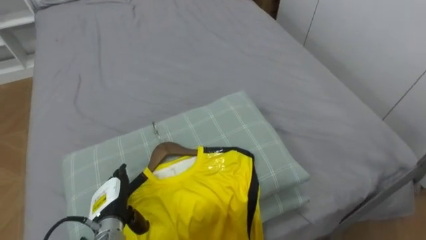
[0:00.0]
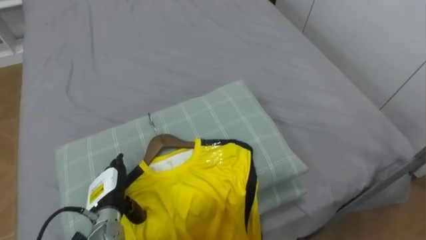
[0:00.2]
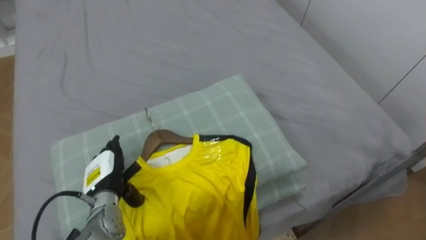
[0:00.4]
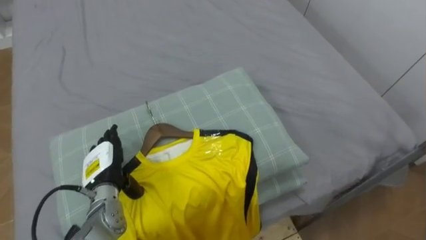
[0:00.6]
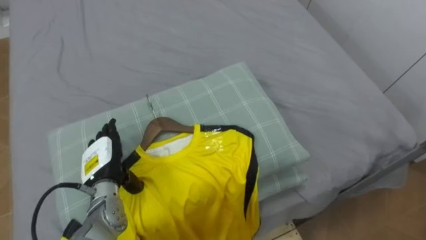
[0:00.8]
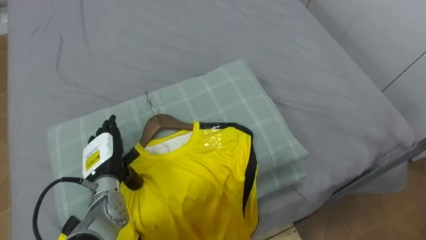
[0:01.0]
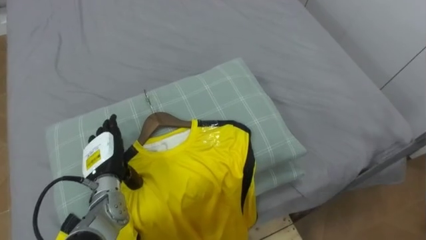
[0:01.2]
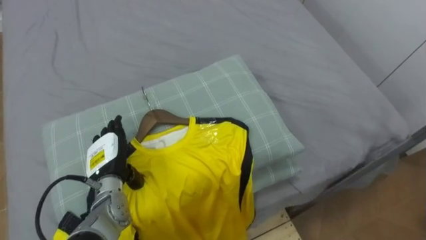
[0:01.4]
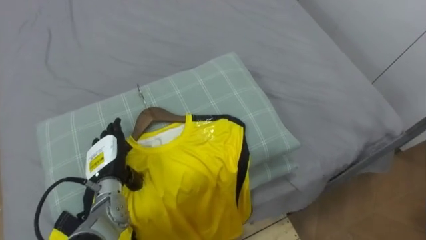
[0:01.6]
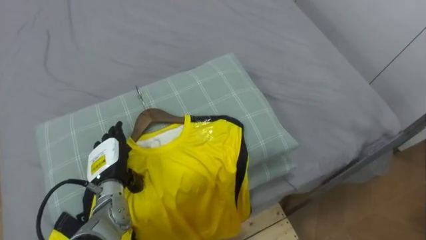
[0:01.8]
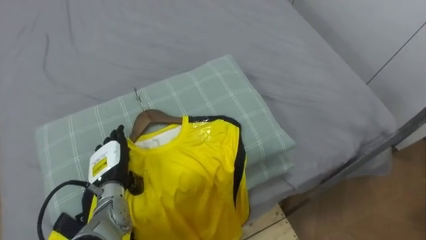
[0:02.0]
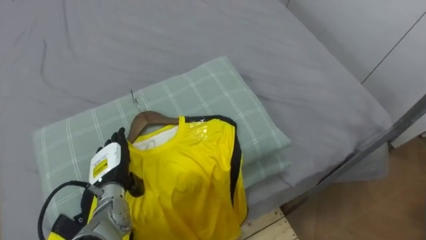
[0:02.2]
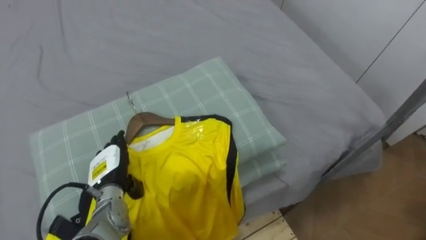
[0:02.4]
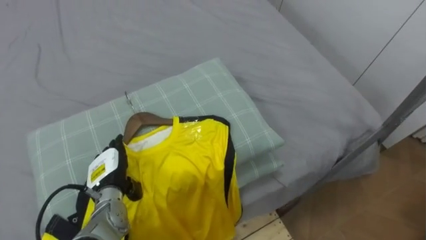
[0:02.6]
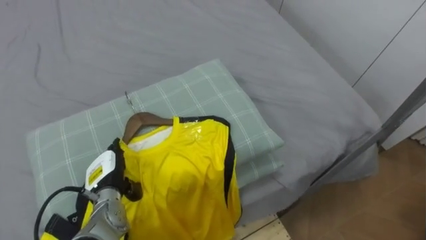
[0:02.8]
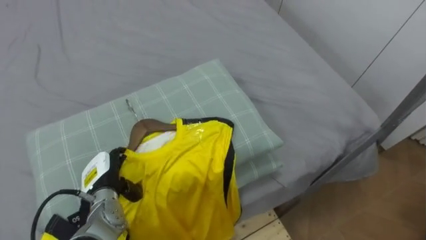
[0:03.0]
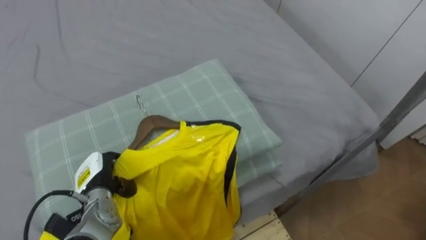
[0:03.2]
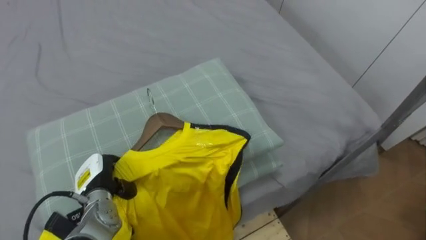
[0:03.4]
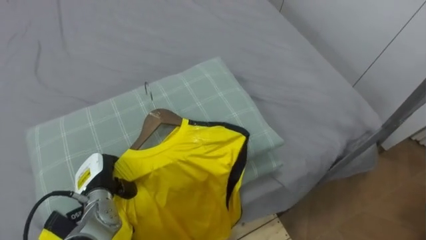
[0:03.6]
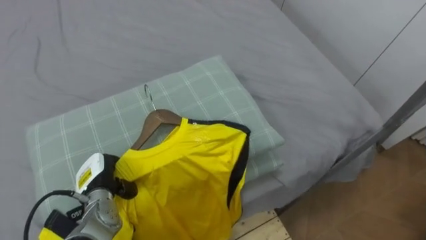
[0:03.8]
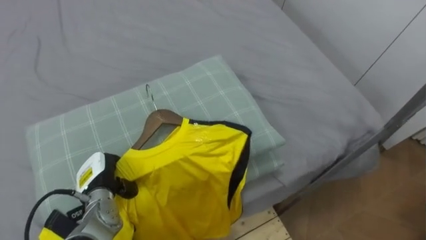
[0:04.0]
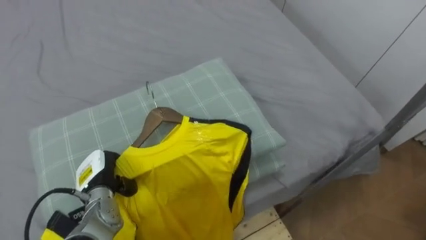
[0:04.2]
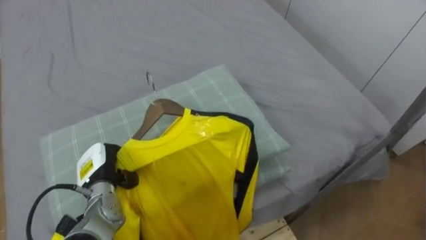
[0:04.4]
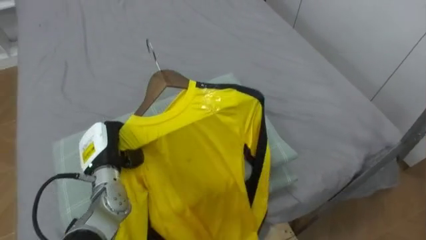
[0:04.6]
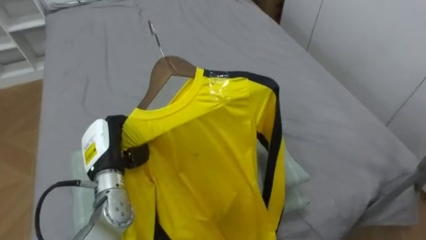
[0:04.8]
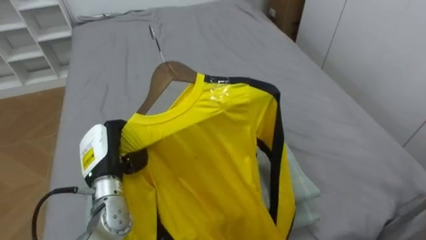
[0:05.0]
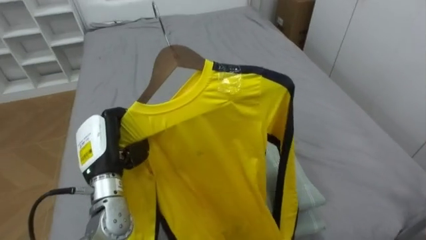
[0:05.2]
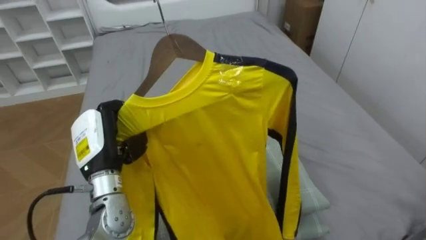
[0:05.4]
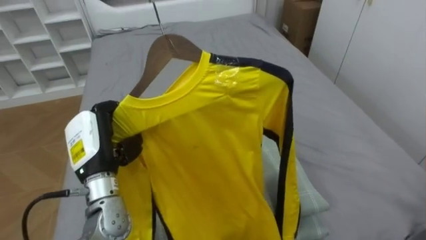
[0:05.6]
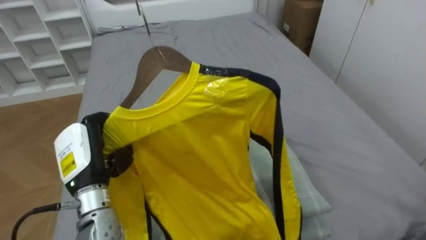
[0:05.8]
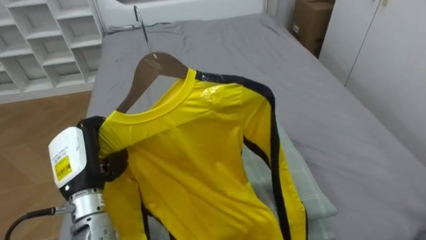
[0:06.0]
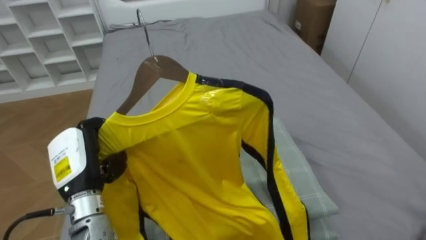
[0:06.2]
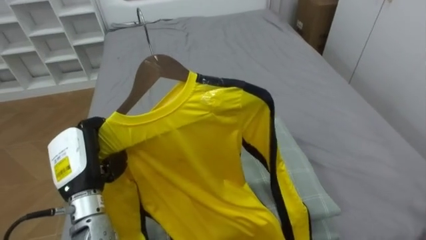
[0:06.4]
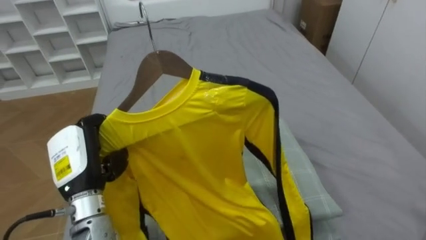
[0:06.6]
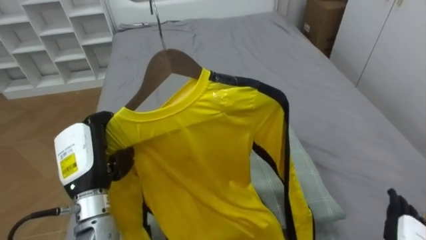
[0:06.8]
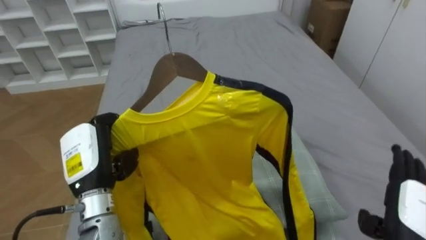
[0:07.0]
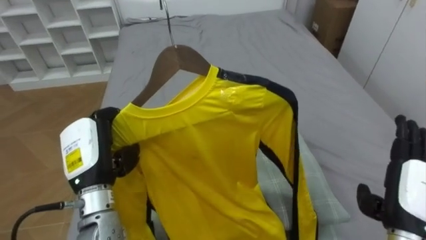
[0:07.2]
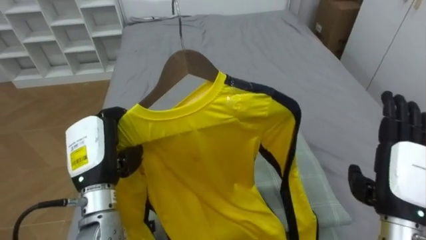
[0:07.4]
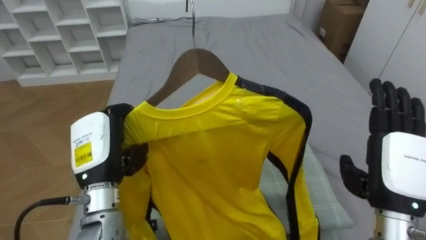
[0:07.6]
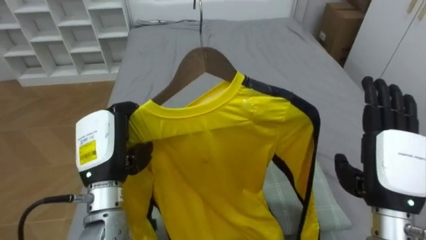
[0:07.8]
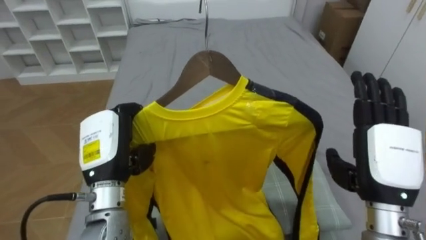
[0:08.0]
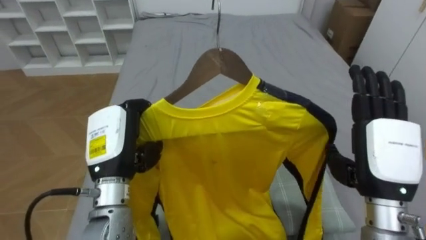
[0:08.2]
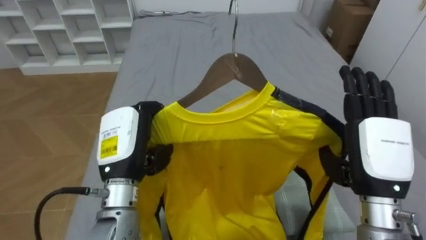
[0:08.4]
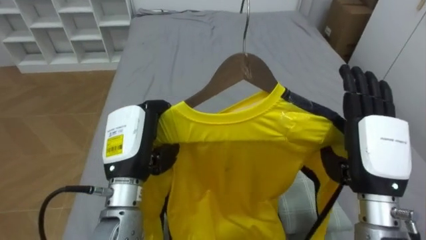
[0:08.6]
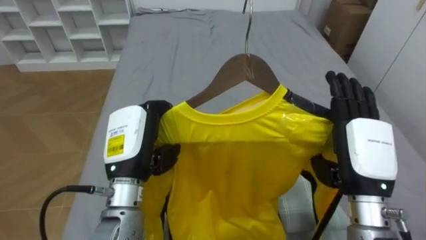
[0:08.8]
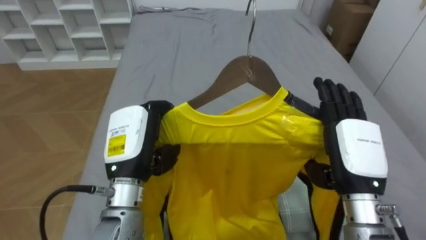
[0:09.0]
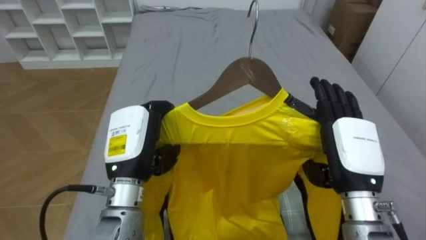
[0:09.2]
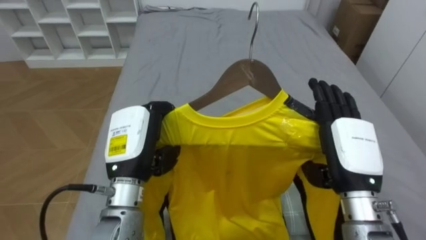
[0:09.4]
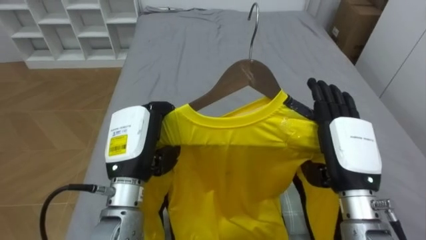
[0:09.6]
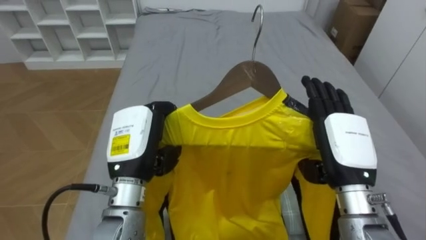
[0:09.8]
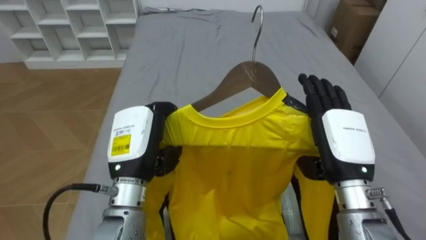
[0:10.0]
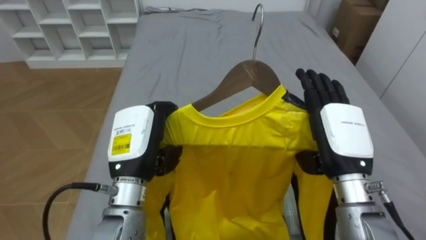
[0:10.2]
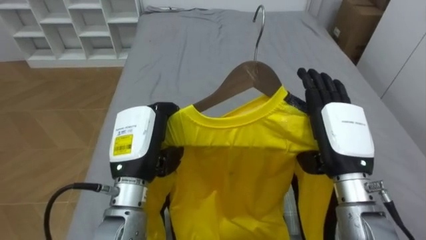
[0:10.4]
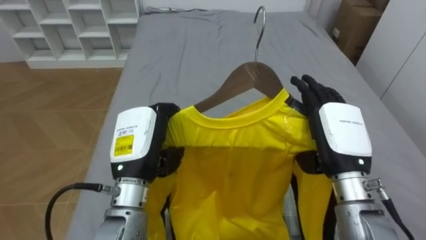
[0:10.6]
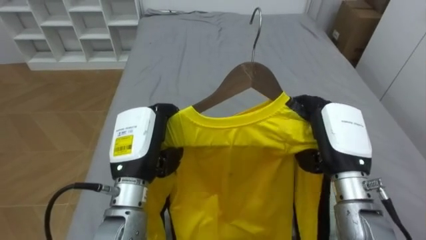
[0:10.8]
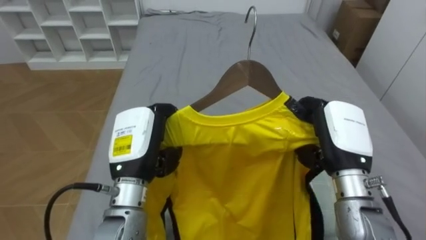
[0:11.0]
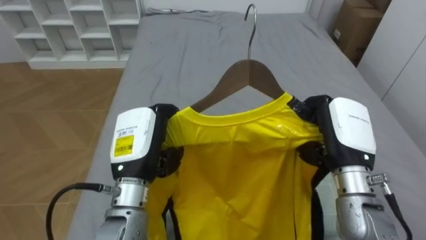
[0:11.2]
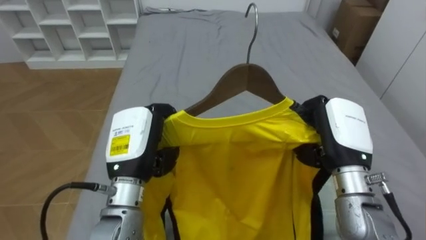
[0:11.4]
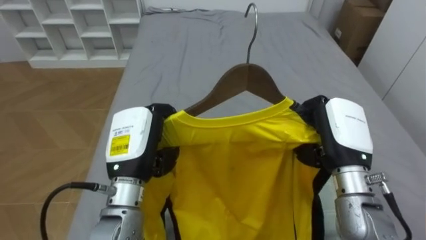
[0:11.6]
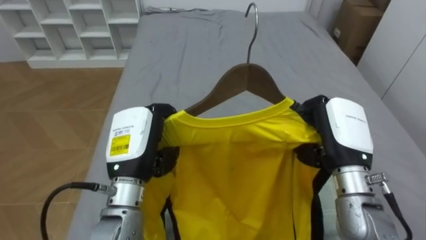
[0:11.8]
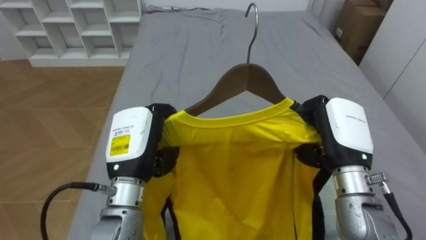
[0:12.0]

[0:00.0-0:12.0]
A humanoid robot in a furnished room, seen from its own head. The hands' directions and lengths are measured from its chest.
Task of the whole recording: Pick up the yellow shirt on the bed and hang it on the clothes rack on the right.
0:00.0 to 0:01.6: The left hand travels upward and forward by approximately 10 cm.
0:03.0 to 0:04.4: The left hand closes.
0:04.4 to 0:06.0: The left hand heads upward, covering about 10 cm.
0:06.0 to 0:07.6: The left hand ends up about 5 cm from where it was.
0:07.6 to 0:09.0: The left hand shifts about 5 cm to the right. Meanwhile the right hand is displaced to the left by approximately 5 cm.
0:10.4 to 0:12.0: The right hand closes up.

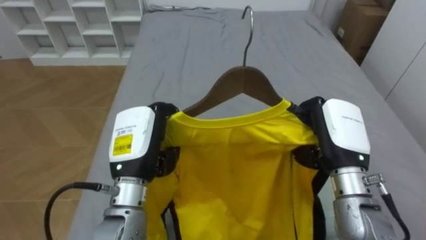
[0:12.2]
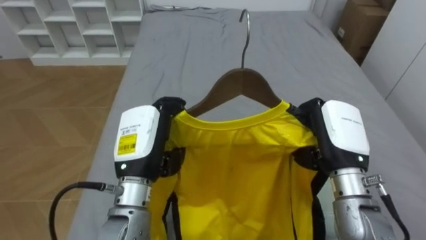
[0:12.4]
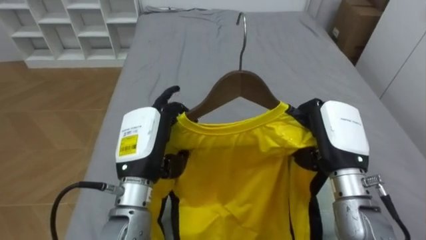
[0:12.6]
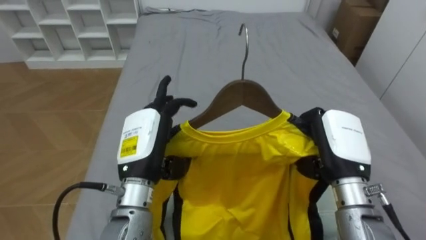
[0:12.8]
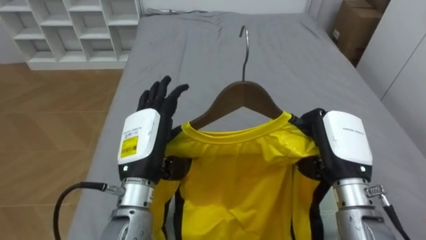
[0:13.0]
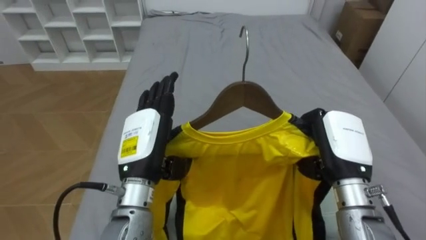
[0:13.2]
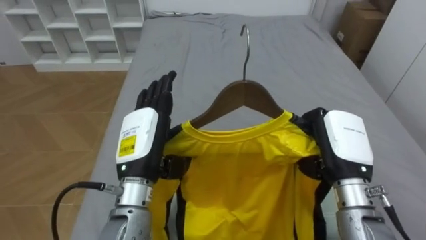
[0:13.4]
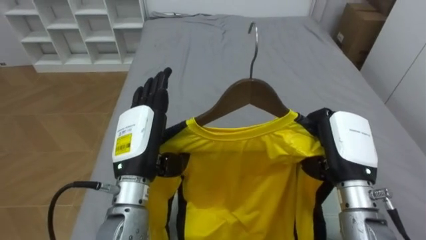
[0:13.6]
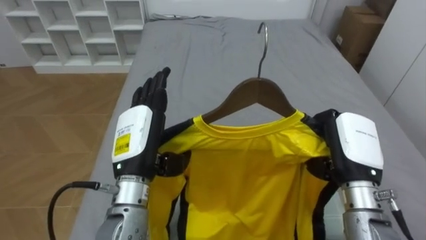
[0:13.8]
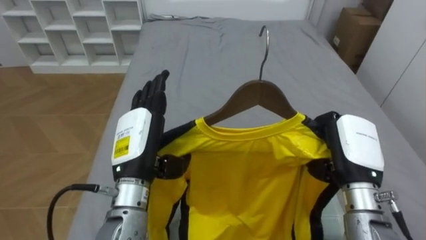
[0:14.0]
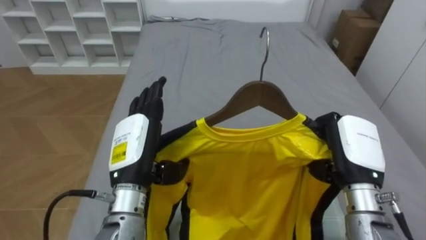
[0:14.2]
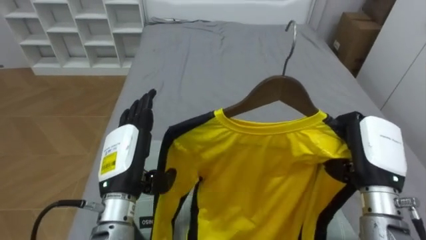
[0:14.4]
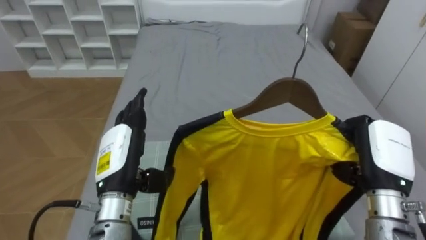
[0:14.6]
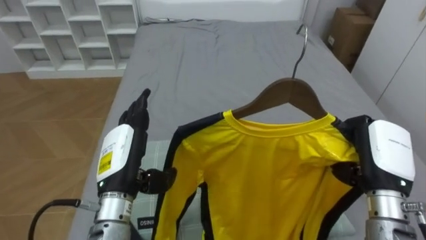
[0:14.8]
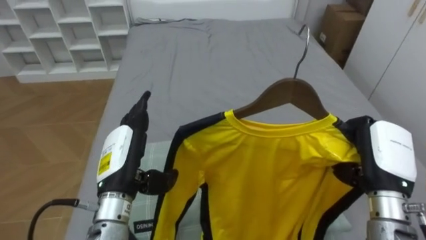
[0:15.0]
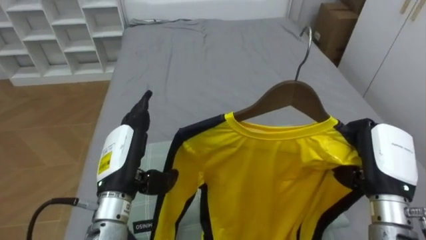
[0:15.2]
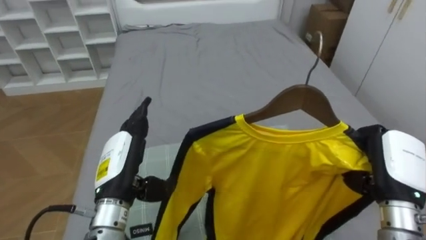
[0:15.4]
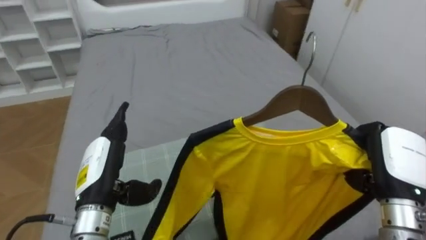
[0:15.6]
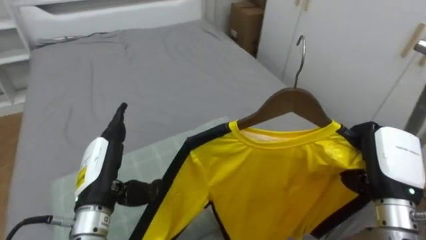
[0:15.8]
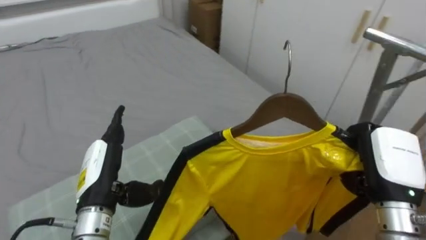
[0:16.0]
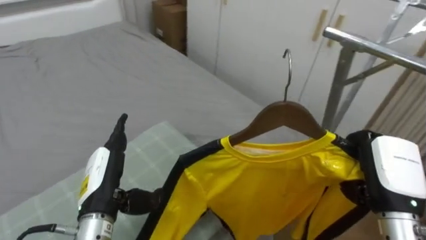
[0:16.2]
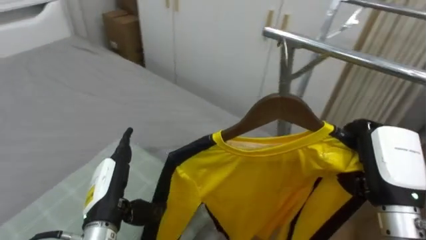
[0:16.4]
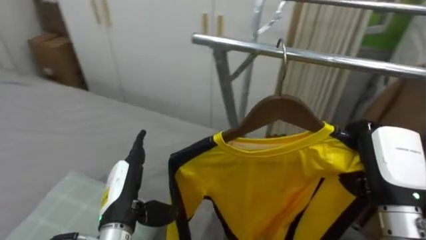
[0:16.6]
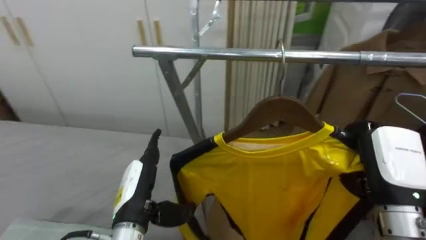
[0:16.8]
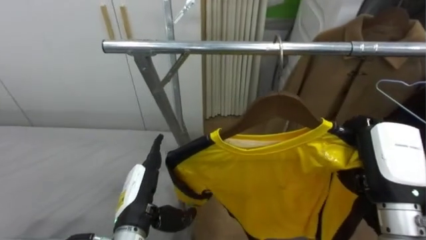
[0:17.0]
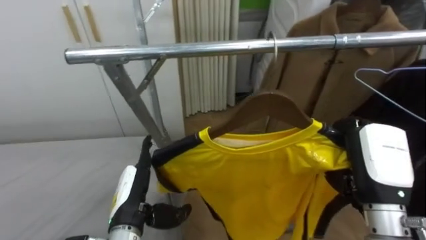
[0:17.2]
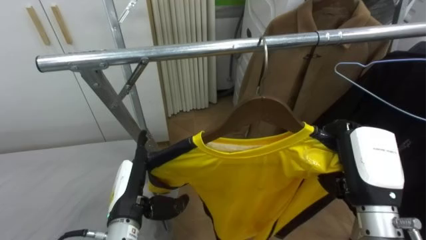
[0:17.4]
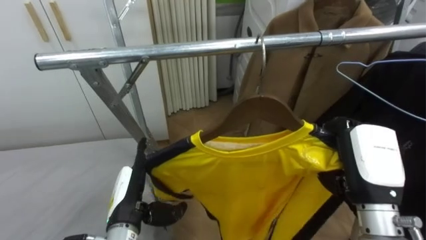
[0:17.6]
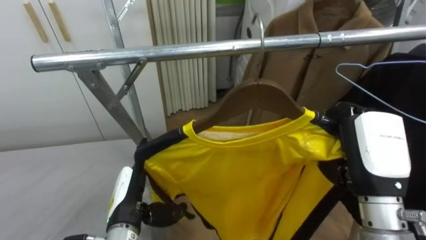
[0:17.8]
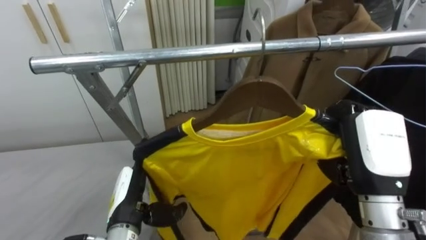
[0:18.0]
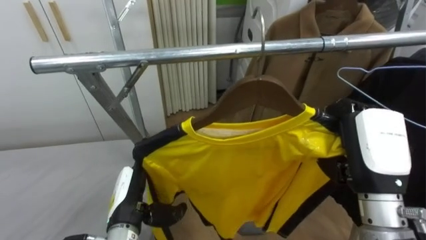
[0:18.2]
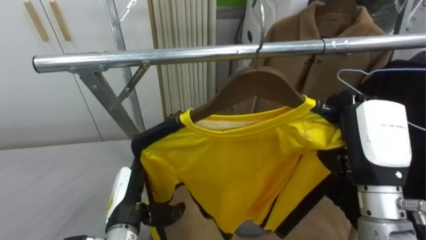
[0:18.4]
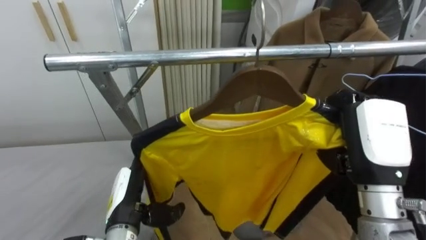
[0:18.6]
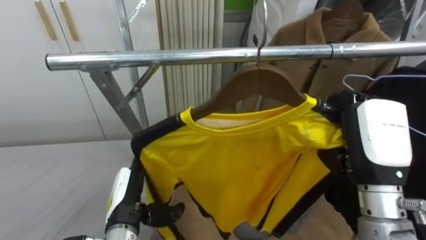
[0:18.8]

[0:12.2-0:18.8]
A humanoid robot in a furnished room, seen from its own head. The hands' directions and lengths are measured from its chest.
Task of the whole recording: Pick up the yellow shirt on the bed and hang it on the clothes rack on the right.
0:12.2 to 0:13.8: The left hand opens its fingers.
0:13.8 to 0:15.4: The right hand shifts about 5 cm to the right. The left hand shifts by some 5 cm.
0:15.4 to 0:17.2: The robot rotates about 85 degrees to its right. The right hand moves about 5 cm. The left hand moves downward, approximately 5 cm.
